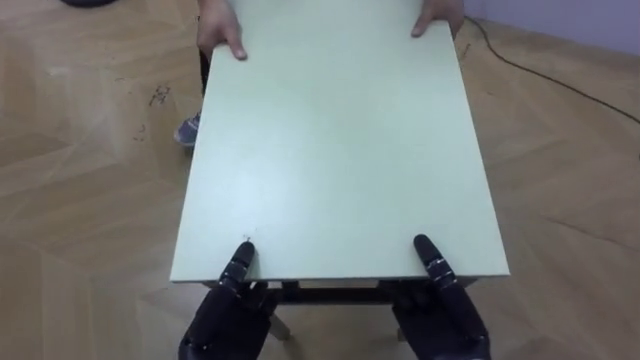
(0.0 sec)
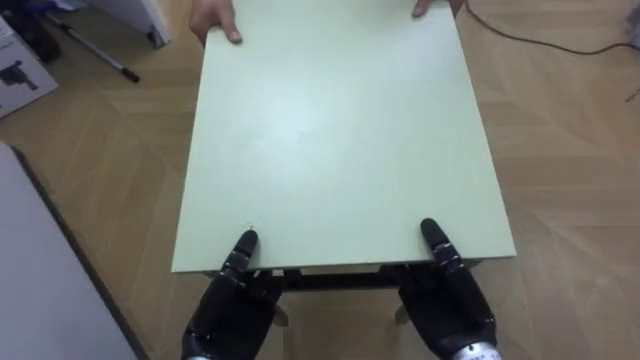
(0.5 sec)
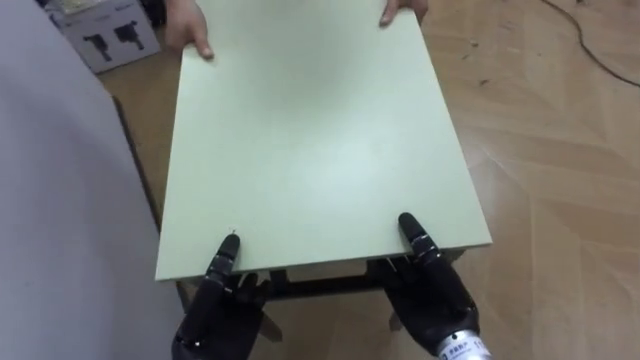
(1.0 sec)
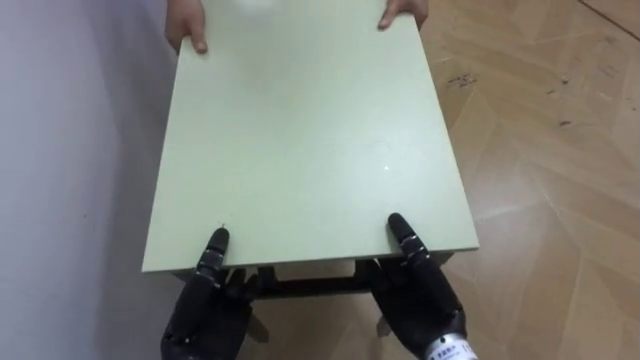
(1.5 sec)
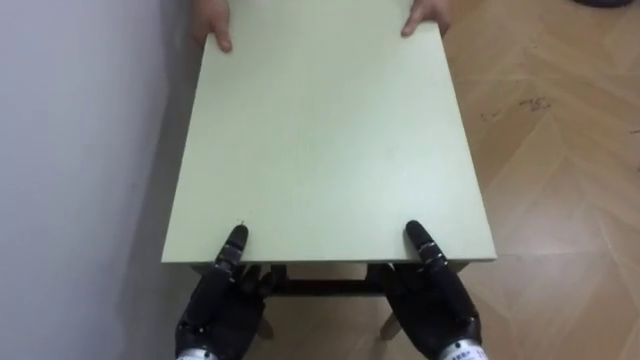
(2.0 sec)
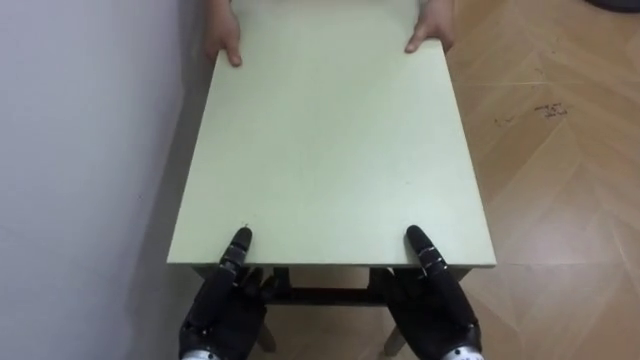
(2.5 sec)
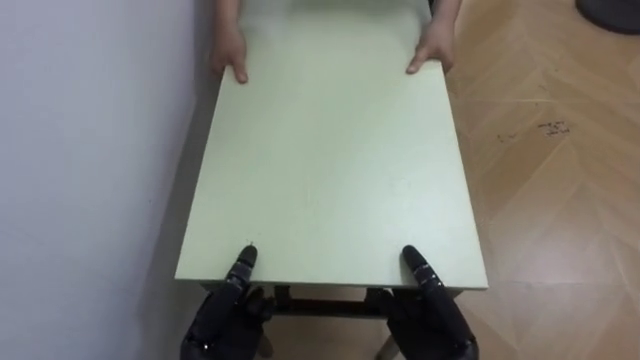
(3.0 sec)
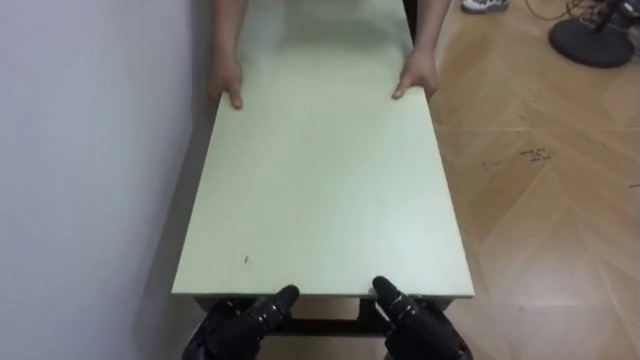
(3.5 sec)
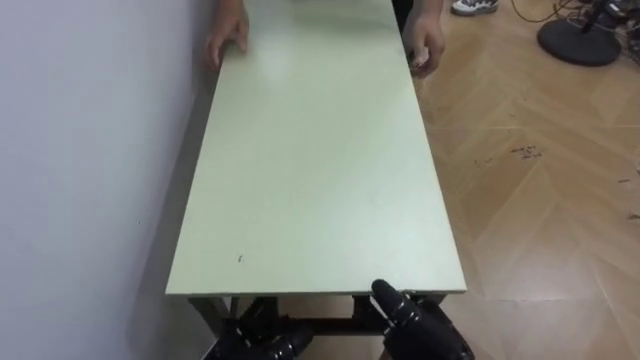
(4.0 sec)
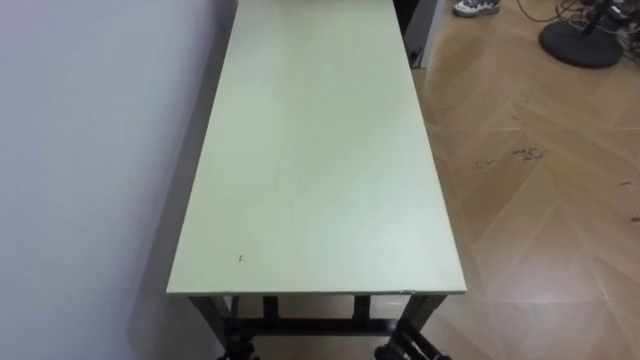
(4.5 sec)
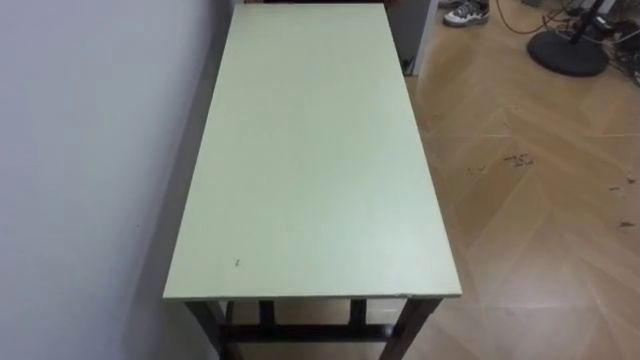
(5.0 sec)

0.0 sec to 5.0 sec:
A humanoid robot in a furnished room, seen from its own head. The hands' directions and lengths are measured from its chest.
Task of the whole recording: Move the table to the back left with someone.
0.0 sec to 2.5 sec: The robot rotates approximately 70 degrees to its left.

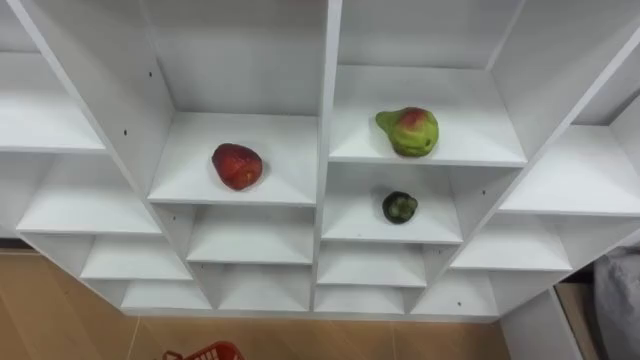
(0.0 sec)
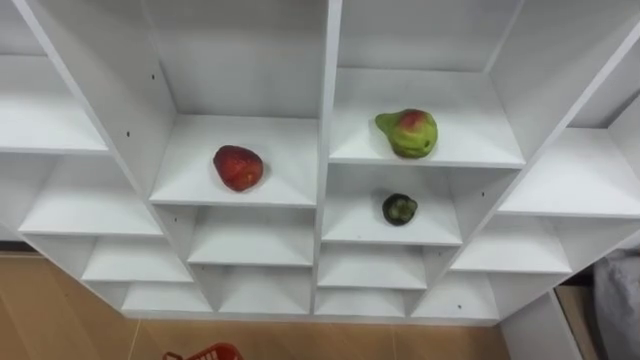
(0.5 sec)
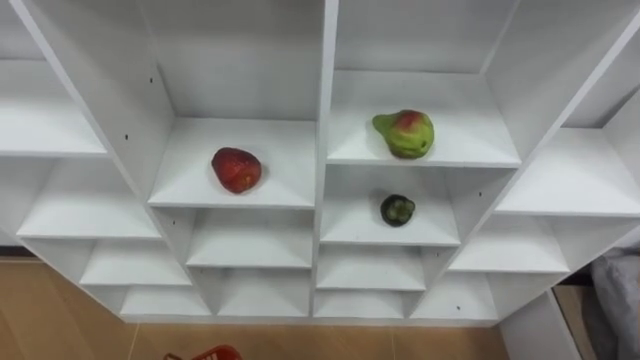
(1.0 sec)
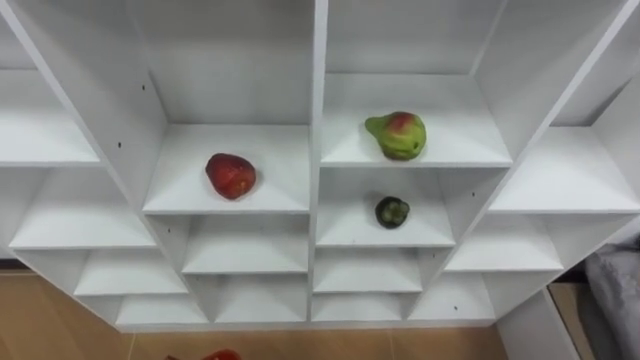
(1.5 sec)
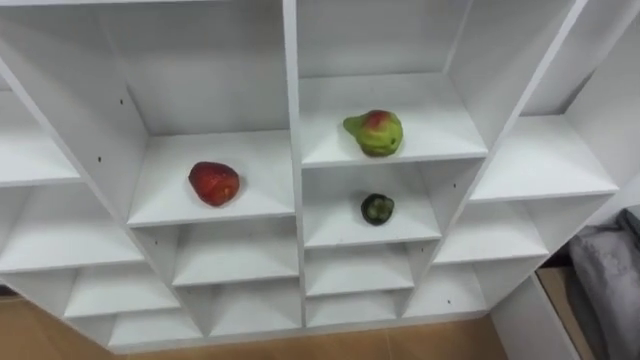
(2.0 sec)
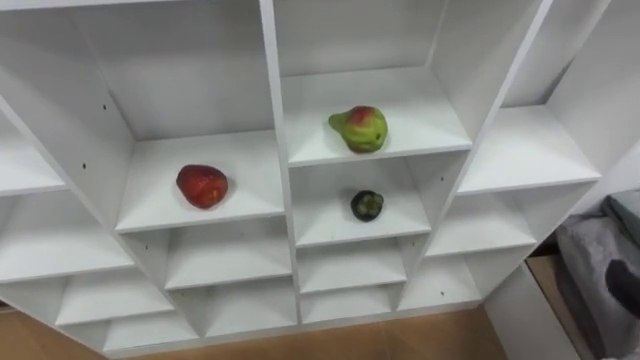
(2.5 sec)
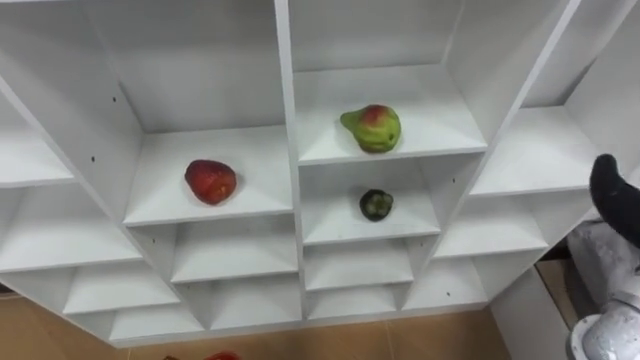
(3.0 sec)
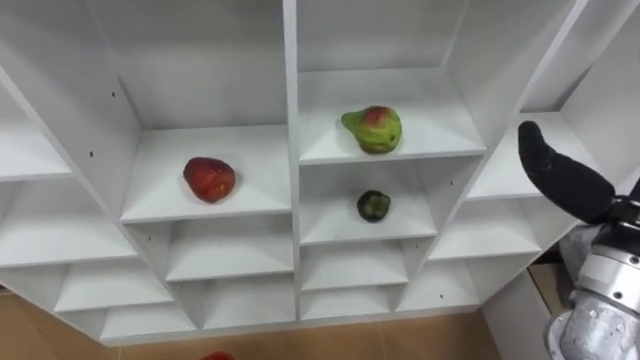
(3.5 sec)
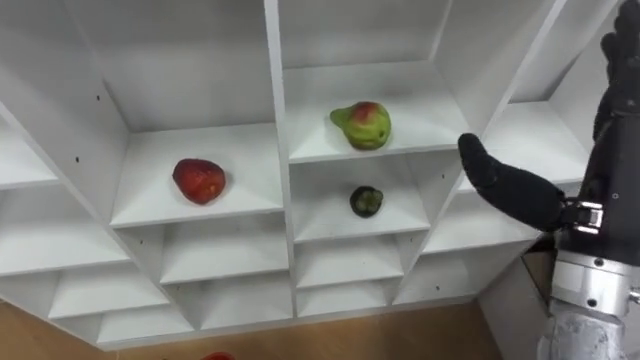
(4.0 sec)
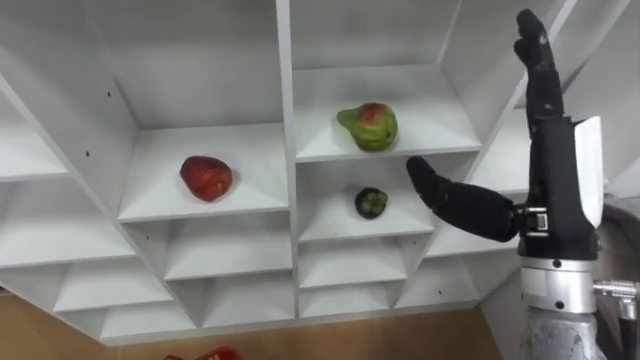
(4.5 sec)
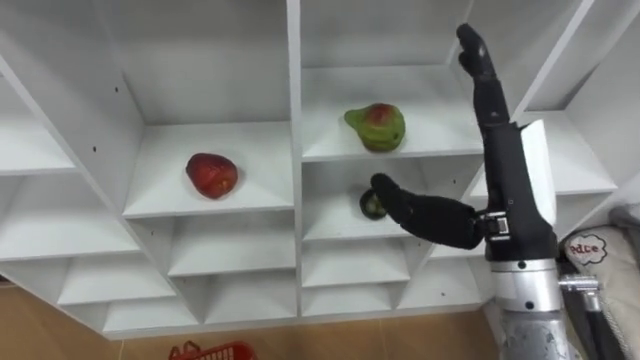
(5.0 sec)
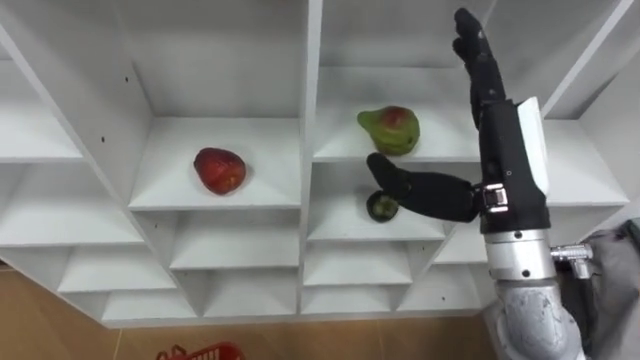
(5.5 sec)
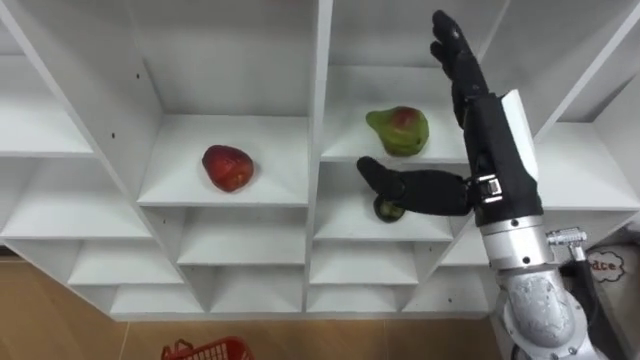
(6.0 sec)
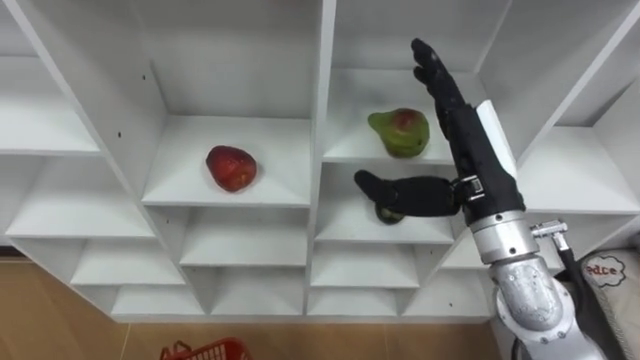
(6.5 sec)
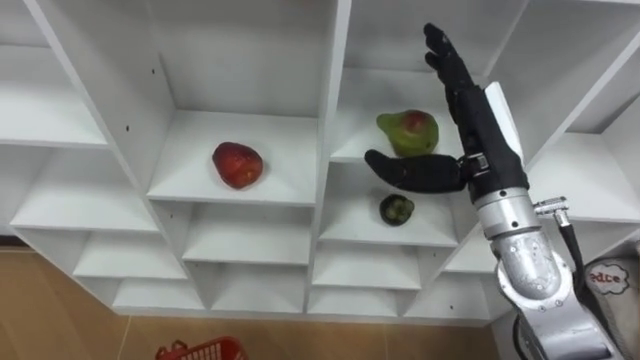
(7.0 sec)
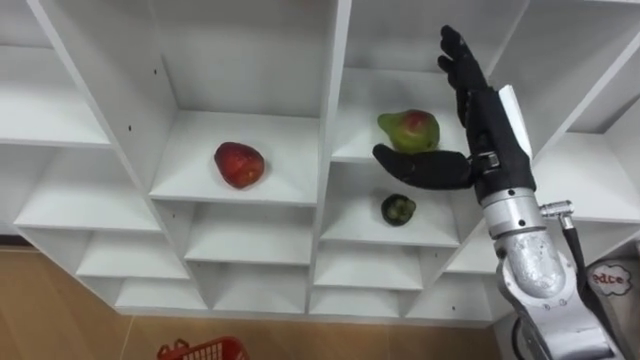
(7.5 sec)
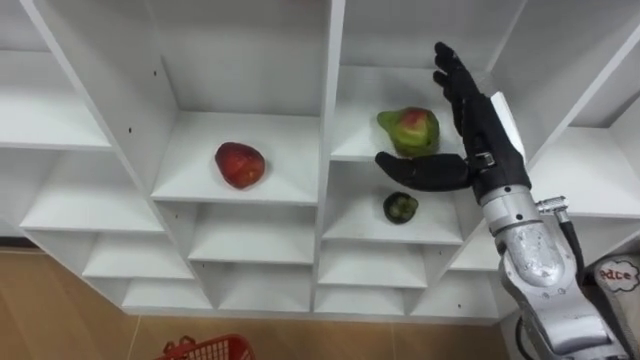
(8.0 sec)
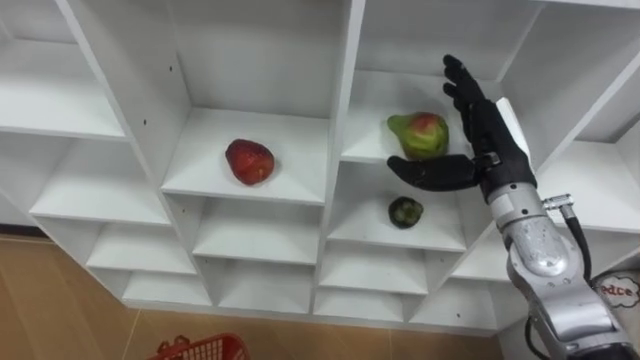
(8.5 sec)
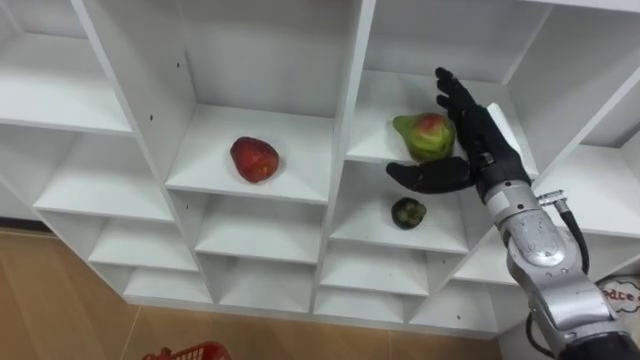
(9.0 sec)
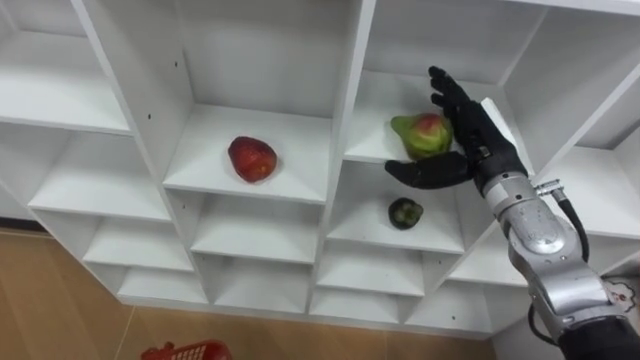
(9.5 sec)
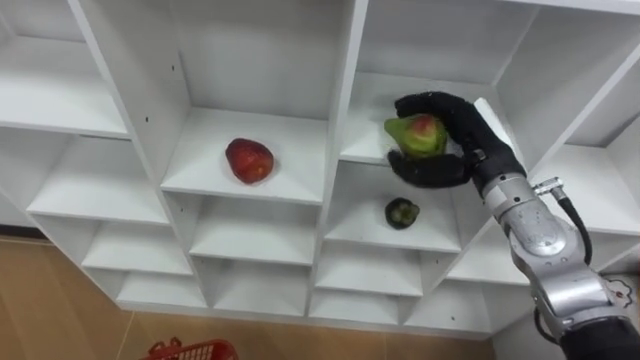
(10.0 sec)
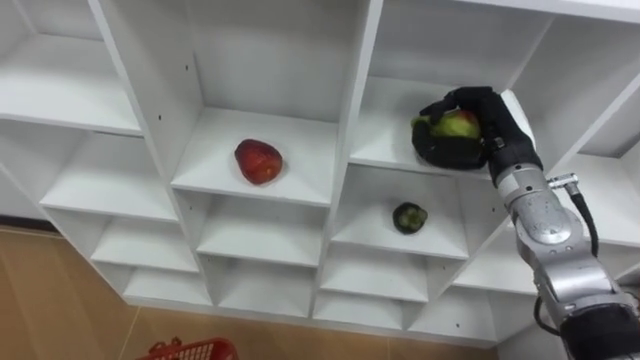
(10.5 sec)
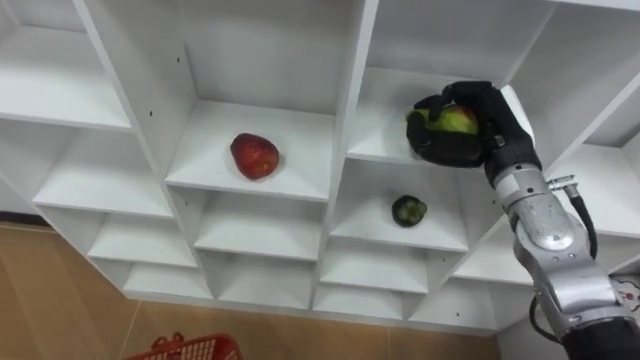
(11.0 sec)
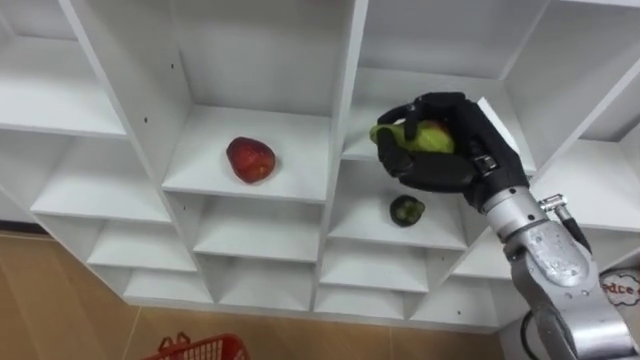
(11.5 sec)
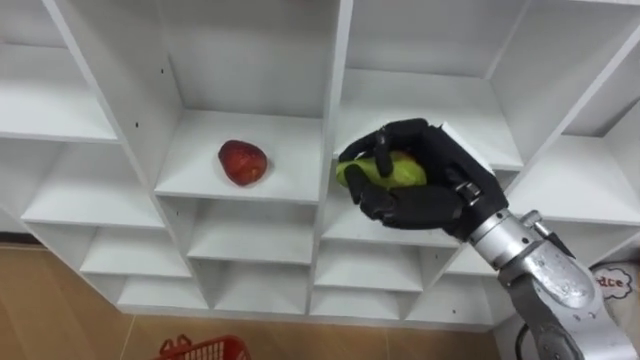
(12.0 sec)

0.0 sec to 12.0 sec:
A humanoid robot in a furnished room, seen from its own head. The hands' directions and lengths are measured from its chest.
Task of the whole recording: Hold the basket and collect the fruits from 3 different cells of the closet into it.
4.0 sec to 6.0 sec: The right hand goes approximately 10 cm to the left.
6.0 sec to 8.0 sec: The right hand heads forward and downward, covering some 10 cm.
10.0 sec to 12.0 sec: The right hand shifts some 10 cm backward and to the left, and closes up.

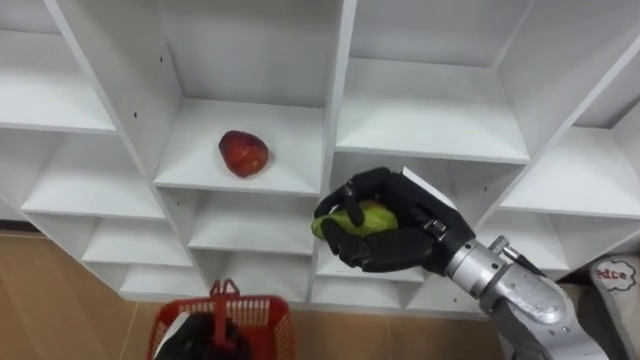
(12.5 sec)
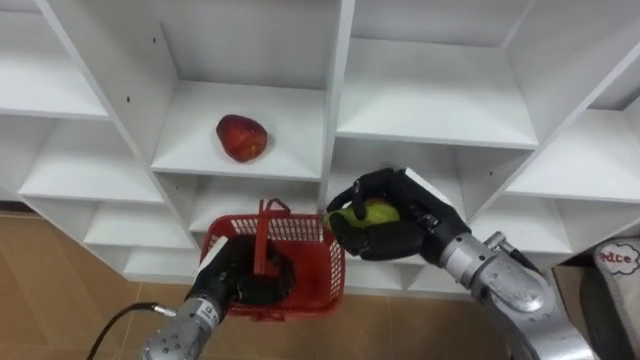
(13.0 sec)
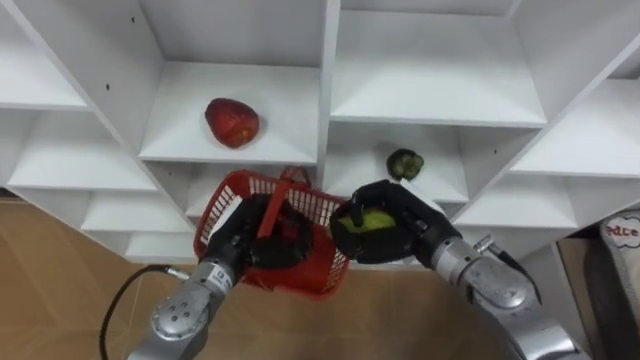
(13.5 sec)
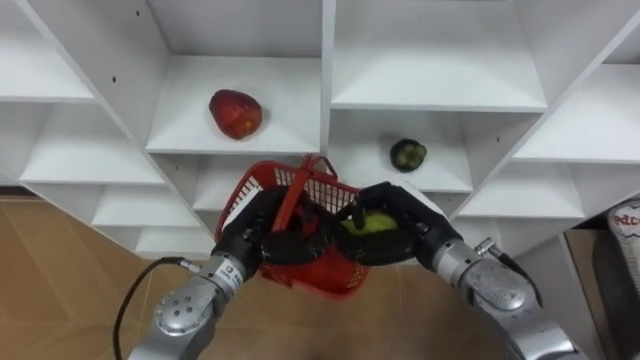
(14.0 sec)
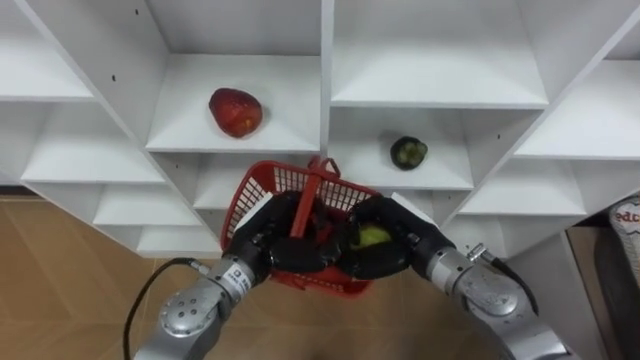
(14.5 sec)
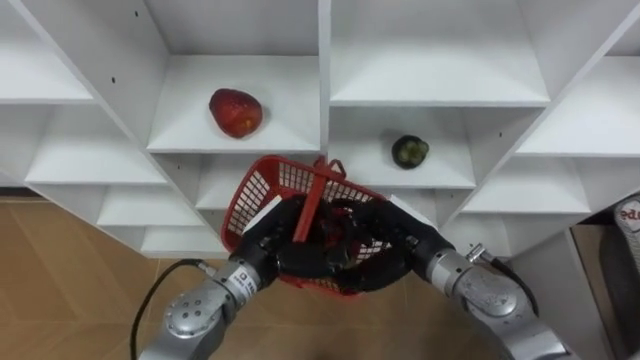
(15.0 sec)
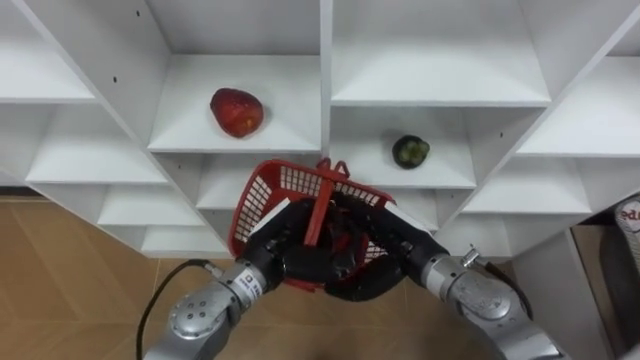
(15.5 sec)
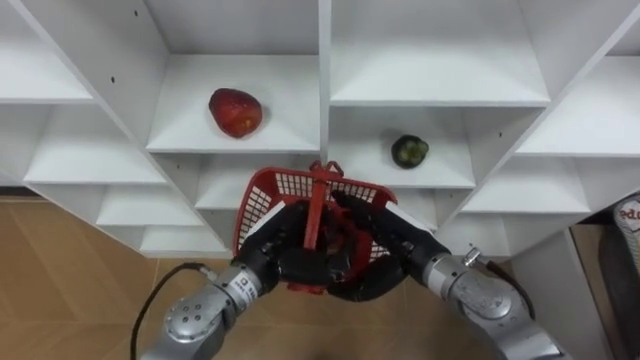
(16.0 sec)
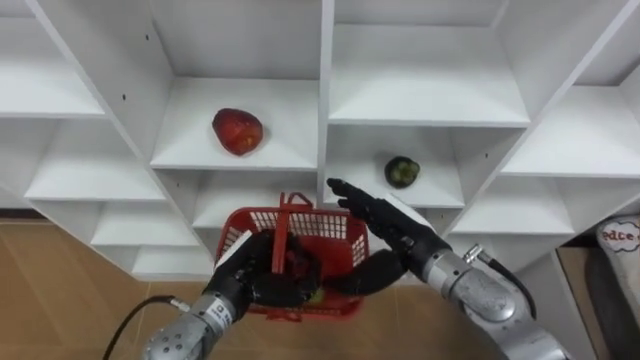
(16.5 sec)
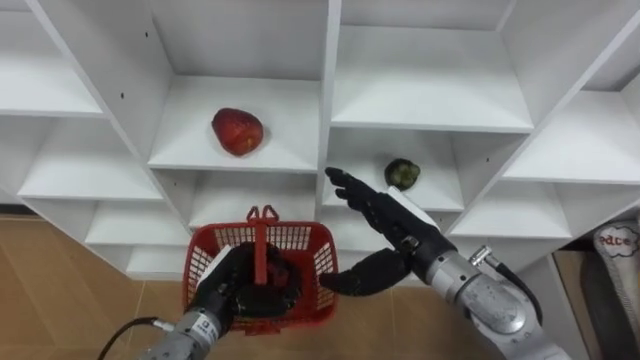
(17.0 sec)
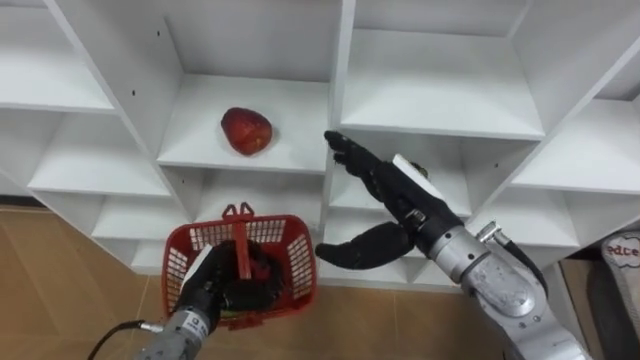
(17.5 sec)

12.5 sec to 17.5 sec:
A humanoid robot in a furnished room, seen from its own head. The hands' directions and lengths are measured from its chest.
Task of the whole recording: Hold the basket and collect the fruits from 3 different cells of the closet into it.
12.5 sec to 15.0 sec: The left hand goes roughly 20 cm upward, to the right and forward. Meanwhile the right hand shifts roughly 10 cm downward, and opens up.
15.0 sec to 17.5 sec: The left hand is displaced to the left and downward by roughly 10 cm. The right hand goes some 10 cm upward.
